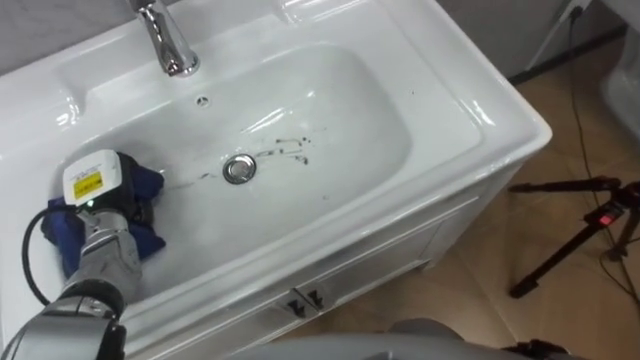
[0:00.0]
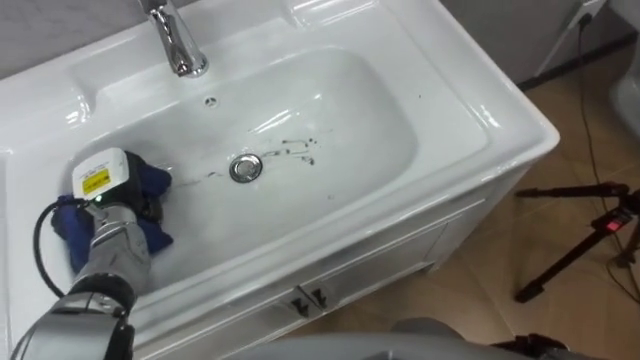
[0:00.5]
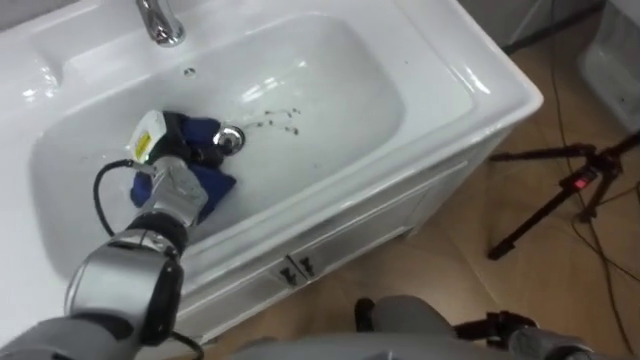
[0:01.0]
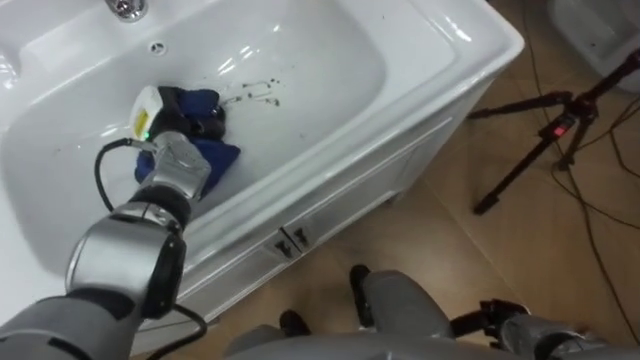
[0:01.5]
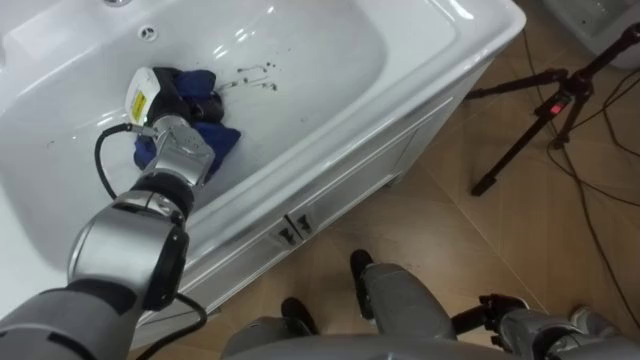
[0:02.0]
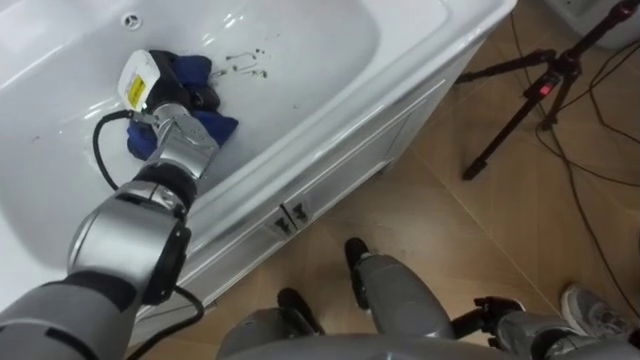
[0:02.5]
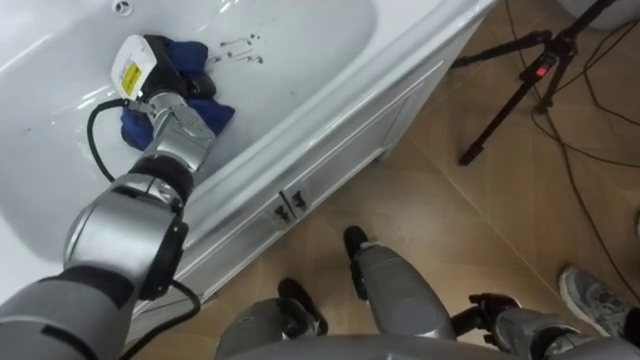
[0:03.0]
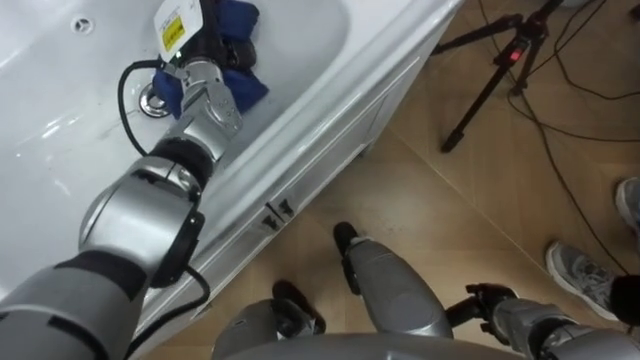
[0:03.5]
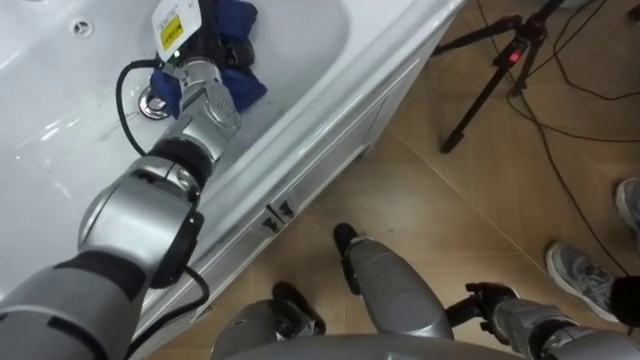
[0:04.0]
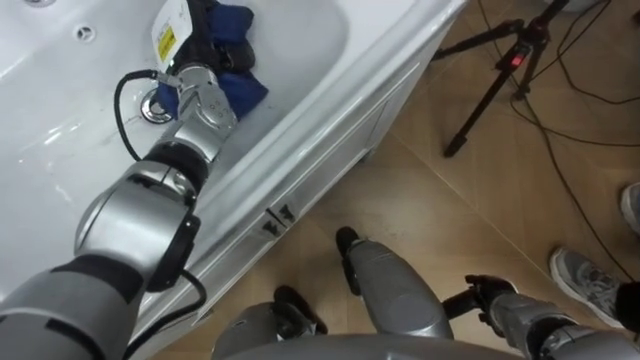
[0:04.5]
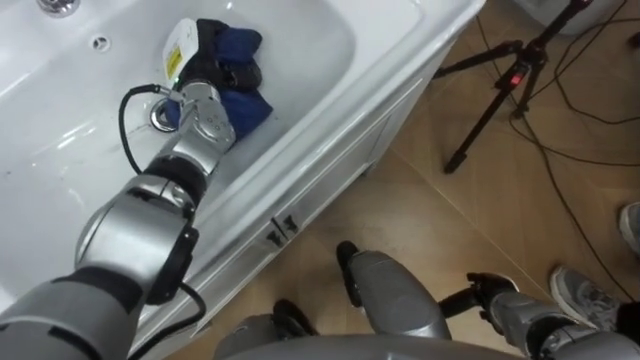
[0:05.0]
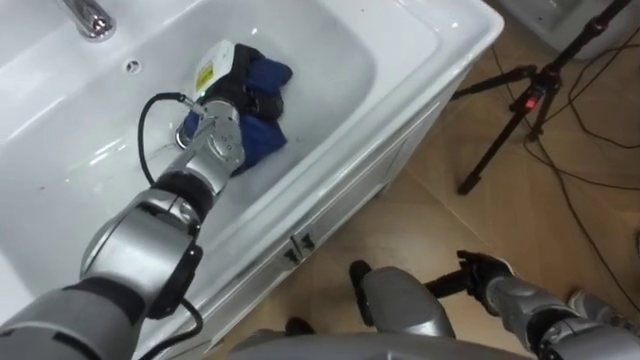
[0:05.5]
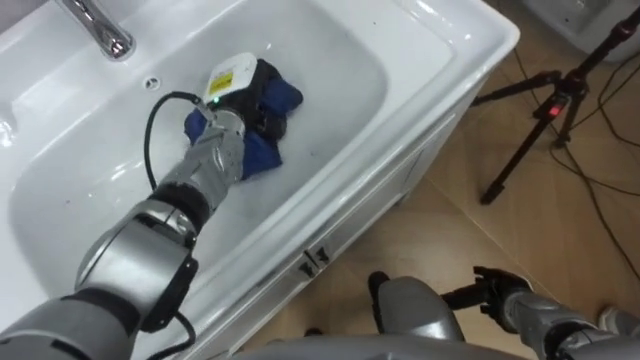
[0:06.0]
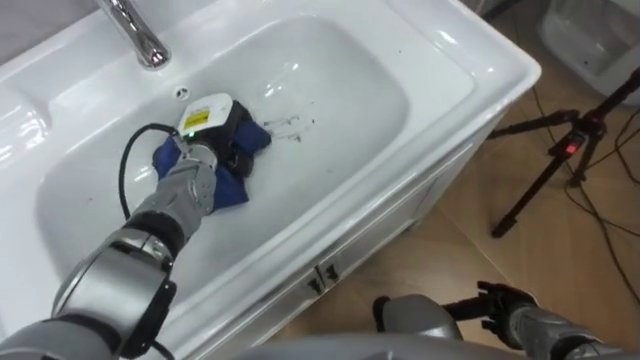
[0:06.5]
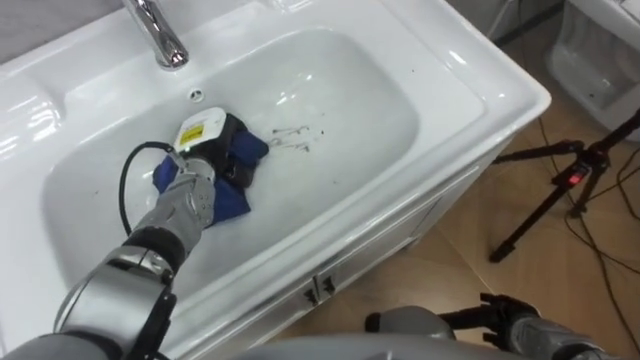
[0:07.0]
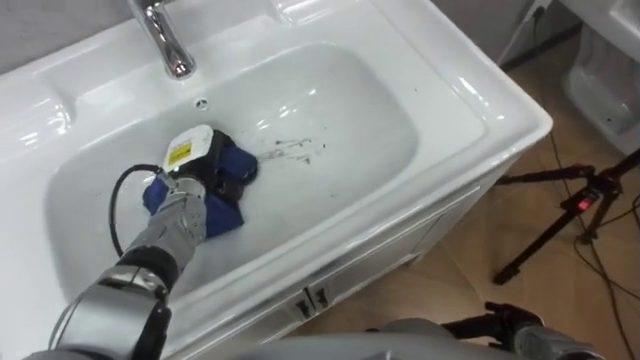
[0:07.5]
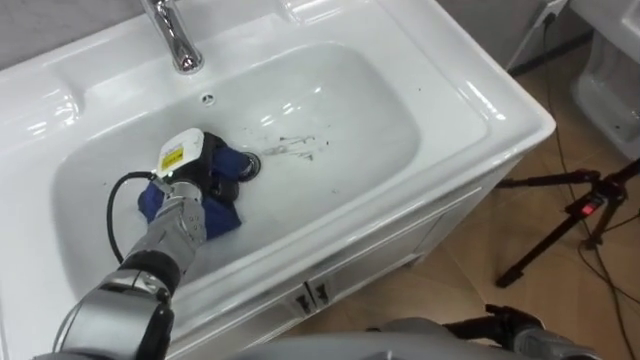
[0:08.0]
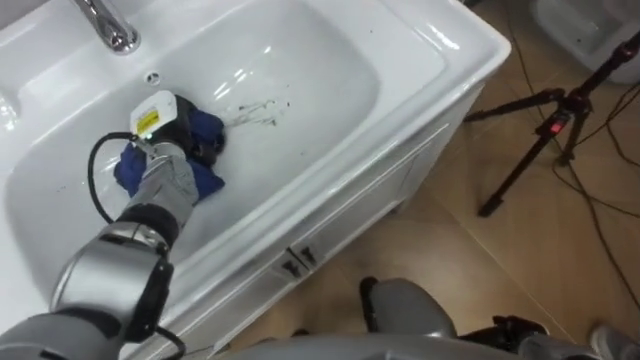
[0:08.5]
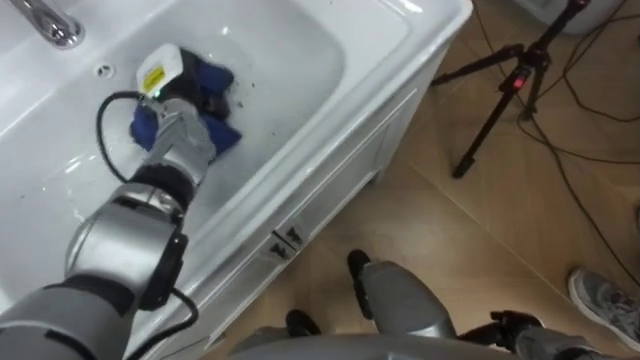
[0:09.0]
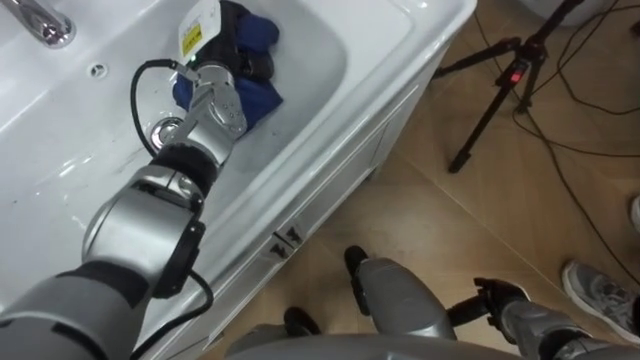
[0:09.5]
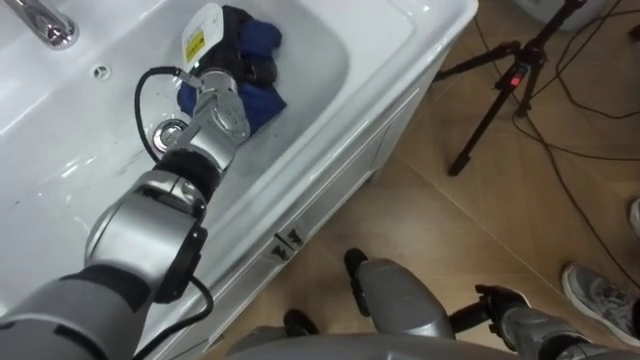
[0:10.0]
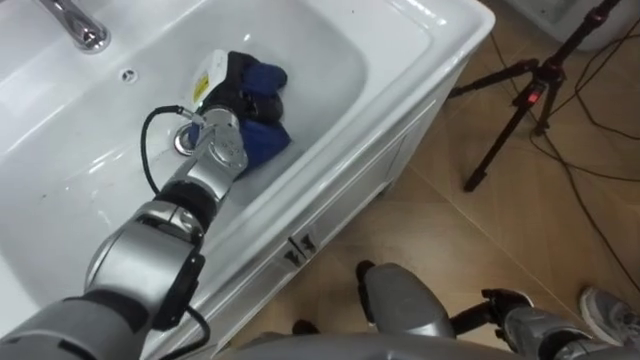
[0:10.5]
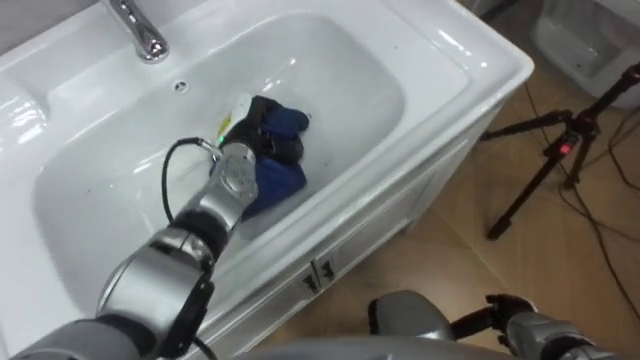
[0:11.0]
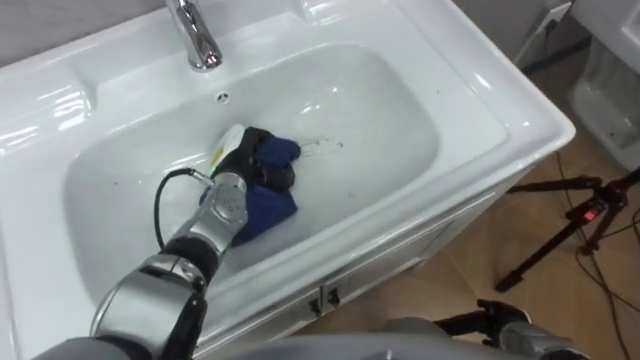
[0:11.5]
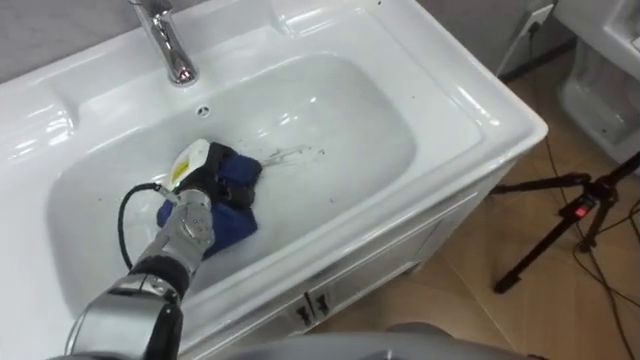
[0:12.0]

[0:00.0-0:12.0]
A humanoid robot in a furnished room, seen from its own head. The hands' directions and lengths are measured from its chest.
Task of the whole recording: Use the cloth on the right to wipe away the black stain in the sink.
0:00.0 to 0:02.0: The left hand travels forward, to the right and upward by roughly 15 cm.
0:02.0 to 0:04.0: The left hand moves upward and to the right, approximately 10 cm.
0:04.0 to 0:06.0: The left hand is displaced downward by roughly 10 cm.
0:06.0 to 0:08.0: The left hand goes roughly 15 cm to the left, backward and downward. The right hand travels backward by approximately 5 cm.
0:08.0 to 0:10.0: The left hand travels upward, forward and to the right by approximately 20 cm.
0:10.0 to 0:12.0: The left hand moves downward, backward and to the left, some 20 cm.

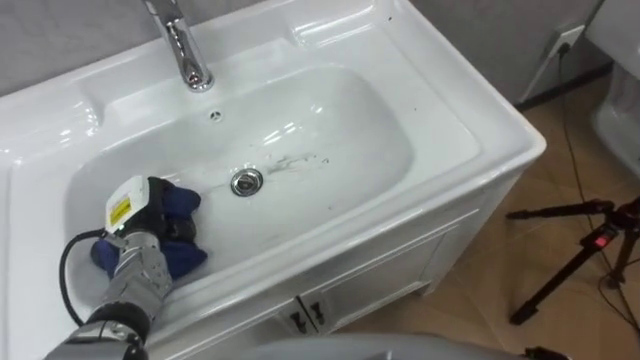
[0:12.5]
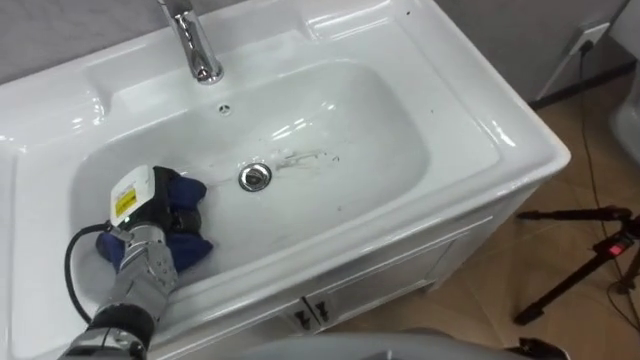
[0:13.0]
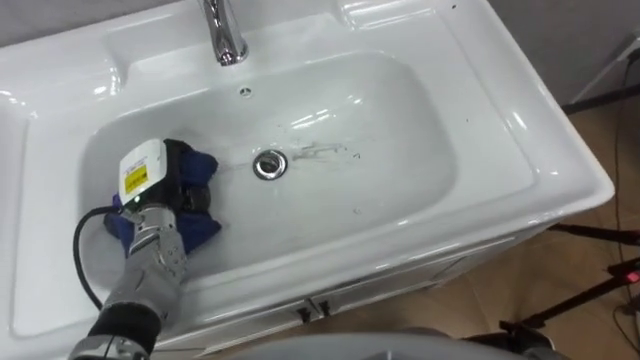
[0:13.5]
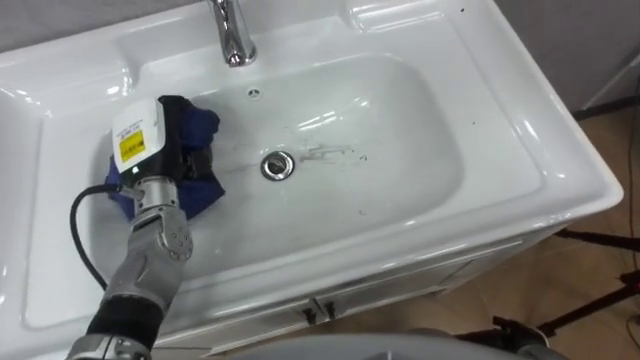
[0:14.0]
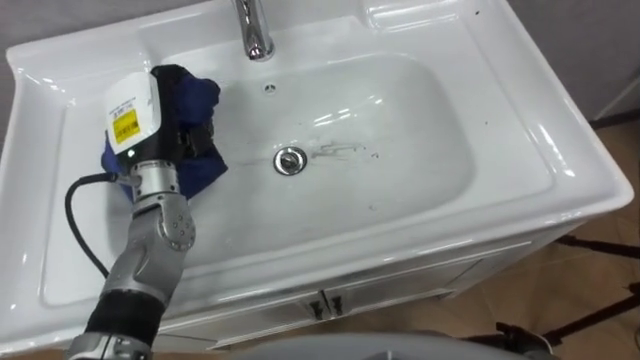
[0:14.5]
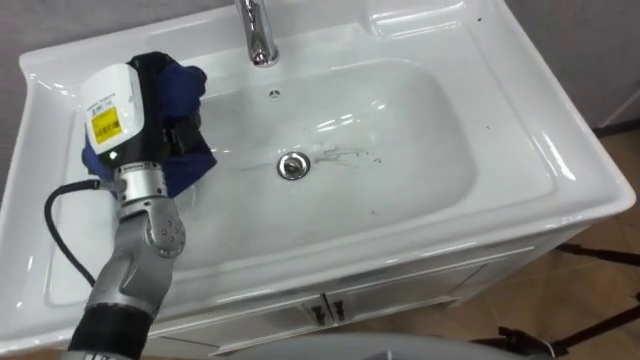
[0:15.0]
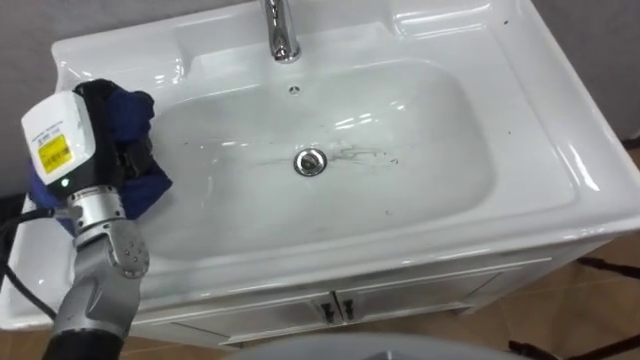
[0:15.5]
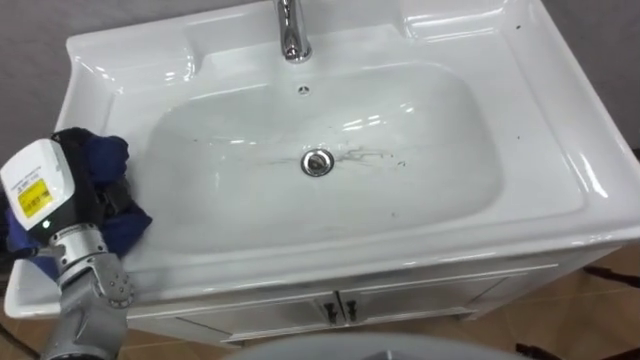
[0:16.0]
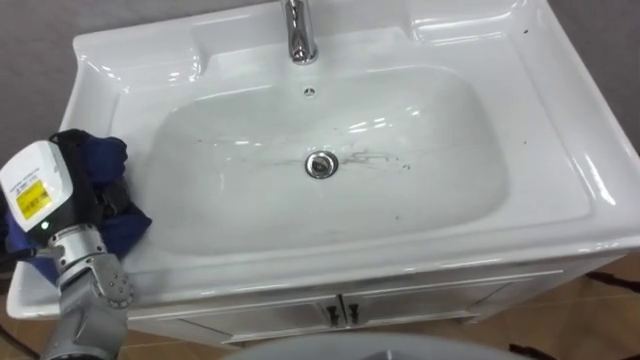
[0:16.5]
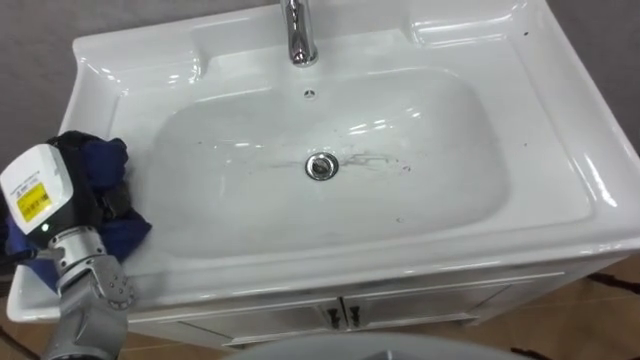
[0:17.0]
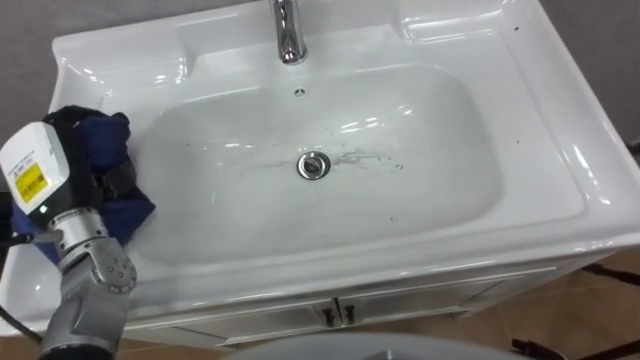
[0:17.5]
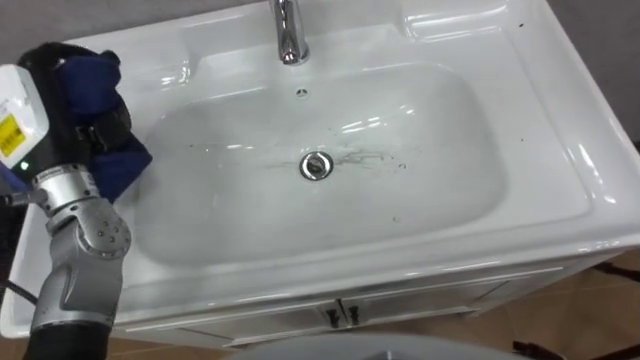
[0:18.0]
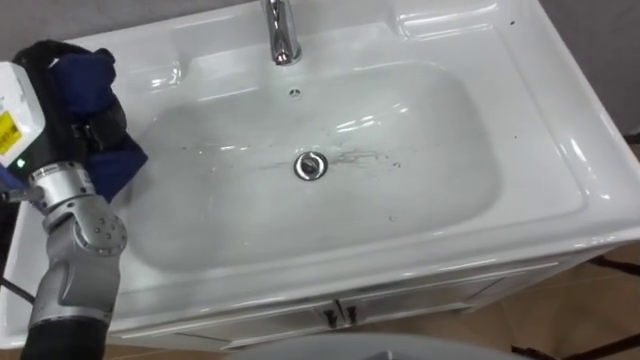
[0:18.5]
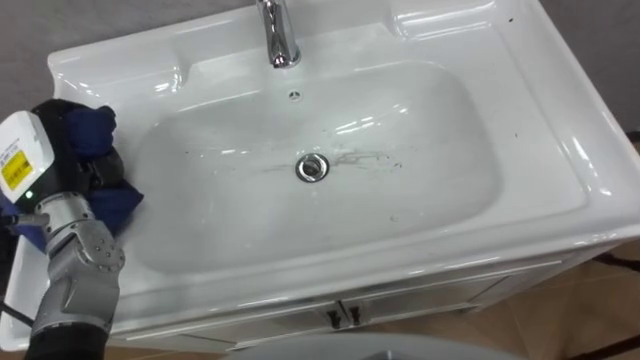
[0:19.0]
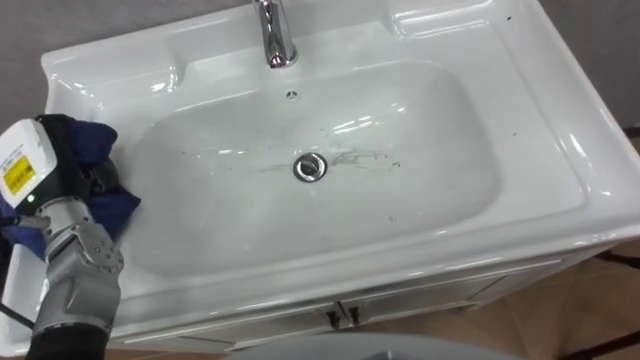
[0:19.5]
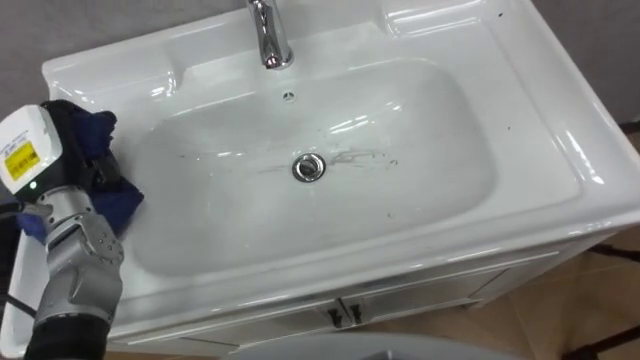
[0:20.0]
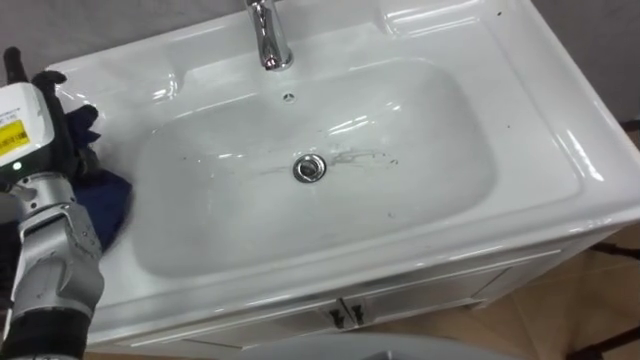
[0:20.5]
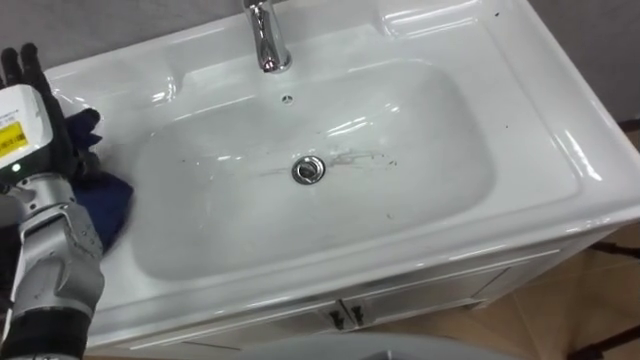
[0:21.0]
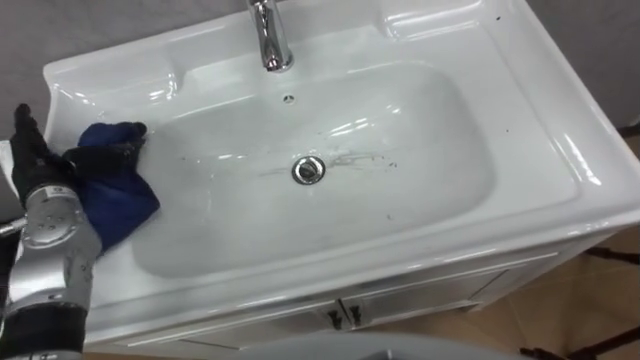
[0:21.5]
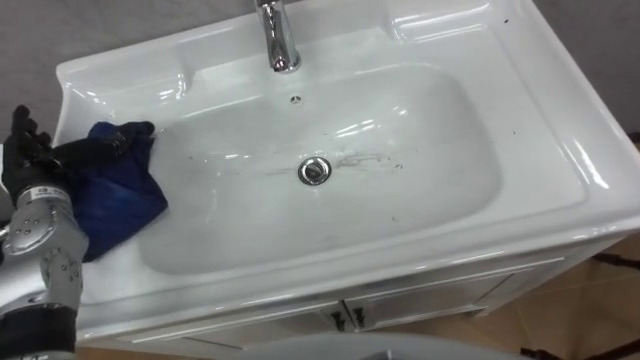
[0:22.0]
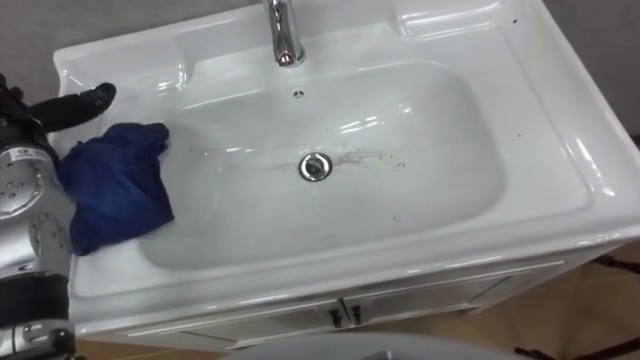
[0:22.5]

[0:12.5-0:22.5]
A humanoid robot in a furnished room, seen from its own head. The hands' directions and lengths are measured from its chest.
Task of the whole recording: Use the cloth on the right to wipe away the black stain in the sink.
0:12.5 to 0:14.5: The left hand goes approximately 15 cm upward and forward.
0:14.5 to 0:16.5: The left hand goes approximately 15 cm to the left and backward.
0:16.5 to 0:18.5: The left hand travels upward by some 10 cm.
0:18.5 to 0:20.5: The left hand opens up.
